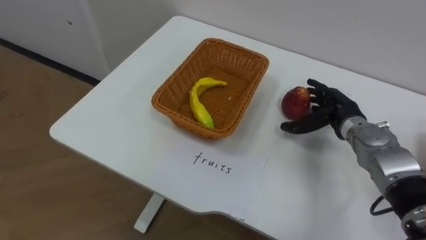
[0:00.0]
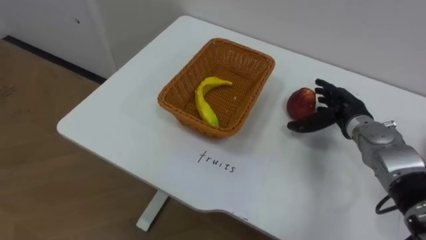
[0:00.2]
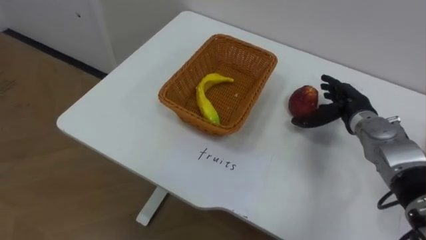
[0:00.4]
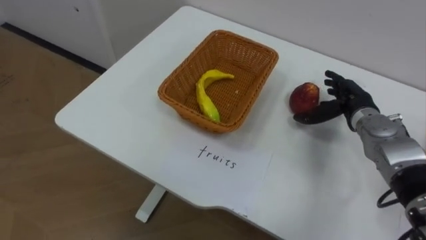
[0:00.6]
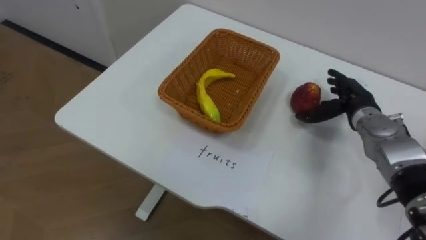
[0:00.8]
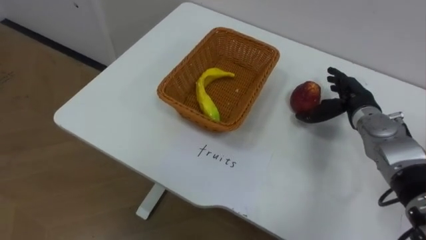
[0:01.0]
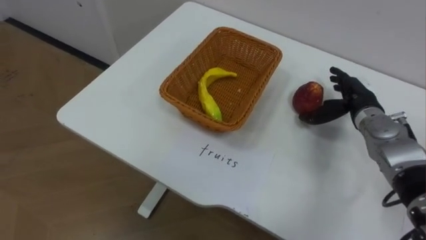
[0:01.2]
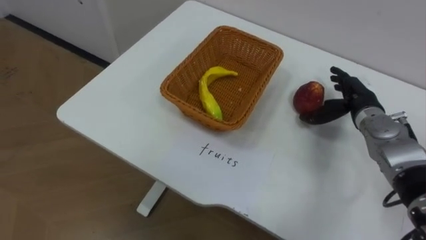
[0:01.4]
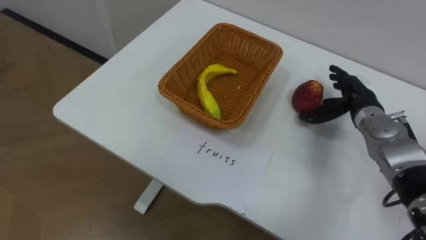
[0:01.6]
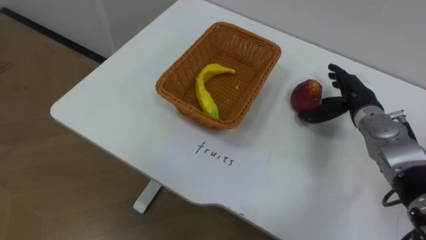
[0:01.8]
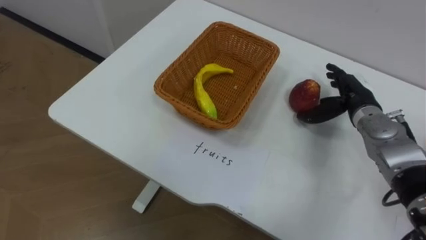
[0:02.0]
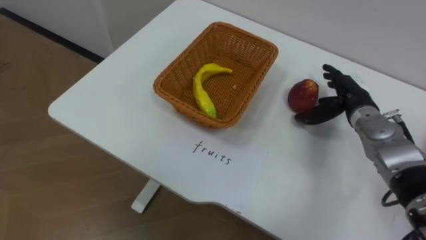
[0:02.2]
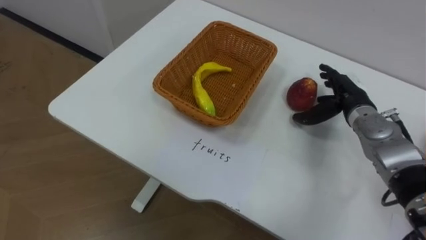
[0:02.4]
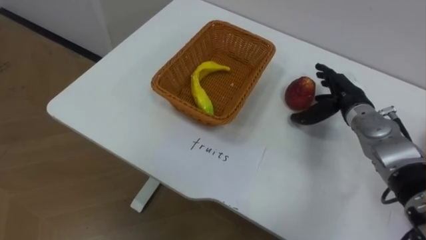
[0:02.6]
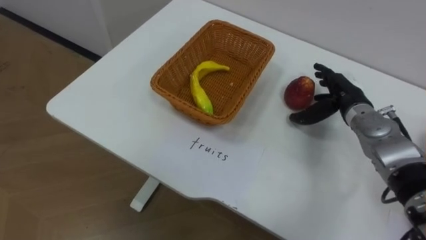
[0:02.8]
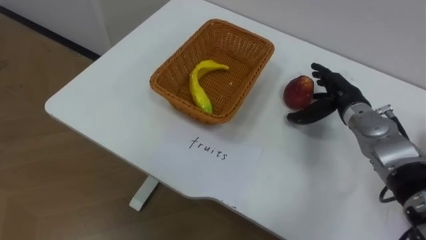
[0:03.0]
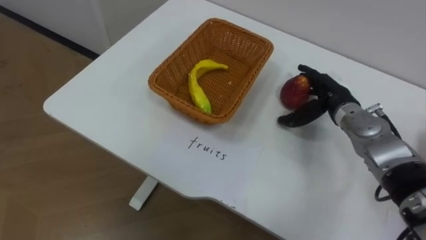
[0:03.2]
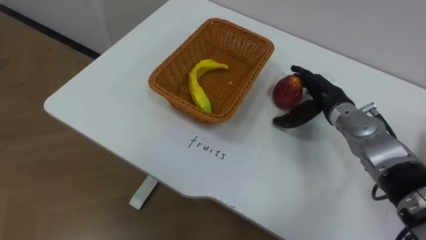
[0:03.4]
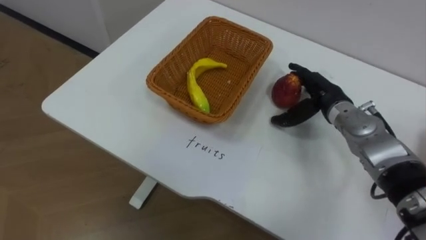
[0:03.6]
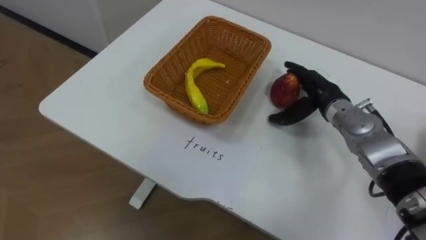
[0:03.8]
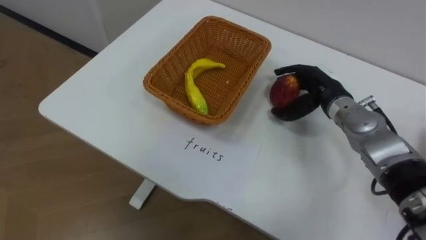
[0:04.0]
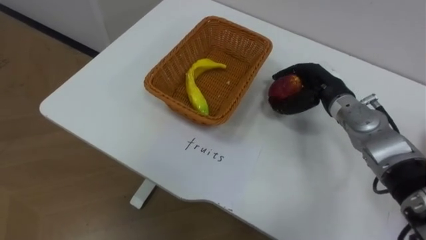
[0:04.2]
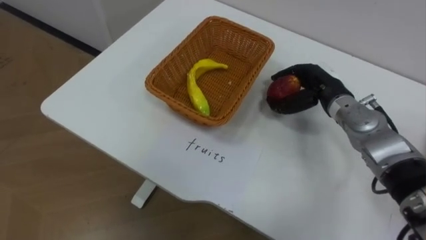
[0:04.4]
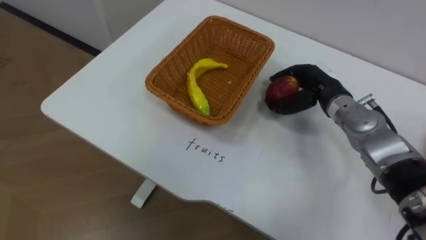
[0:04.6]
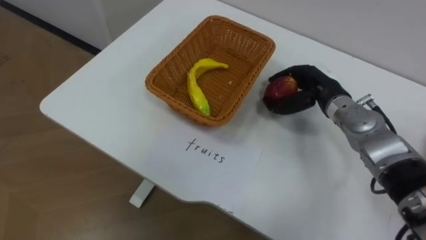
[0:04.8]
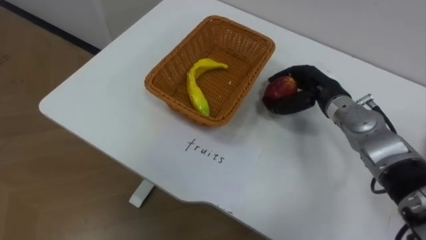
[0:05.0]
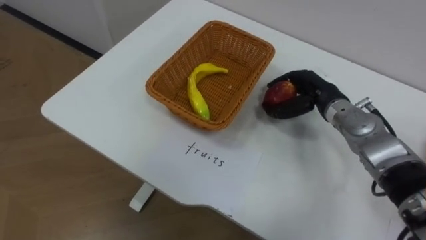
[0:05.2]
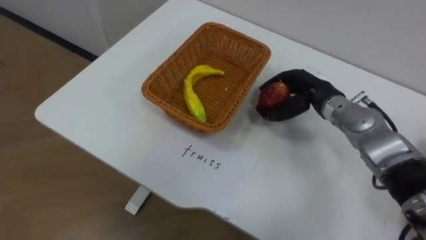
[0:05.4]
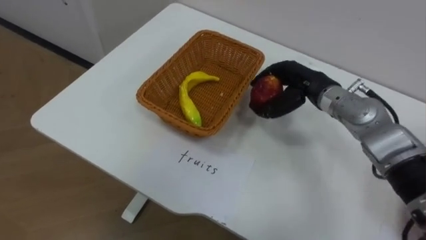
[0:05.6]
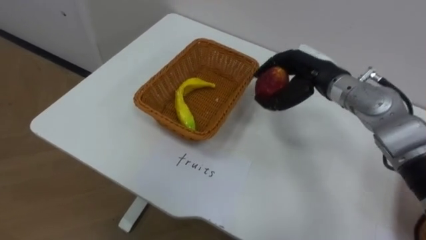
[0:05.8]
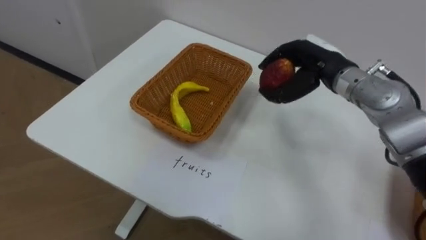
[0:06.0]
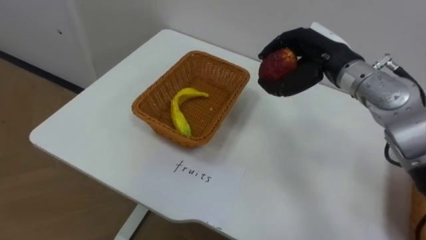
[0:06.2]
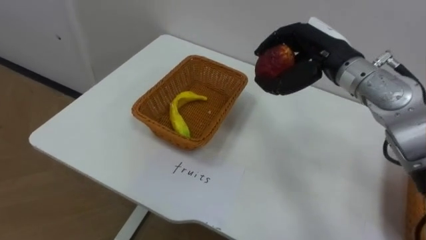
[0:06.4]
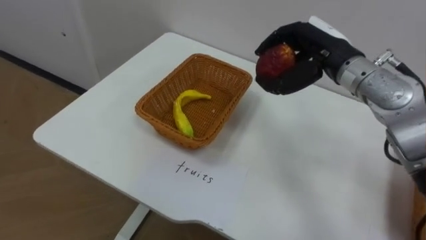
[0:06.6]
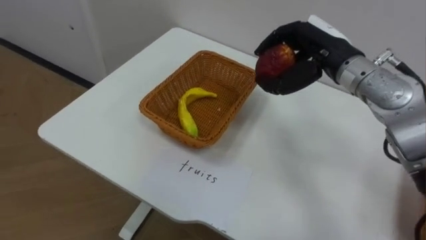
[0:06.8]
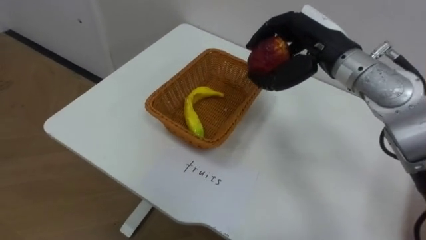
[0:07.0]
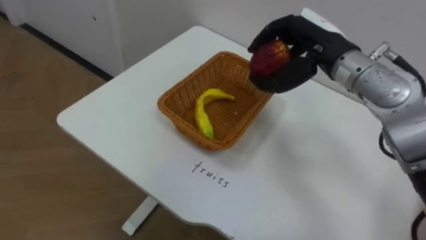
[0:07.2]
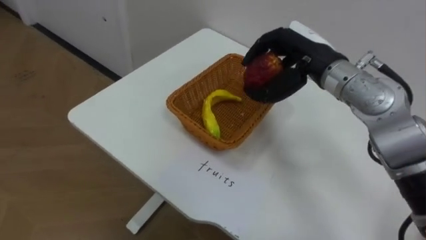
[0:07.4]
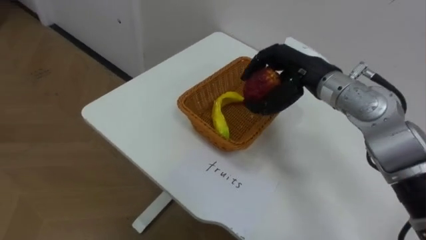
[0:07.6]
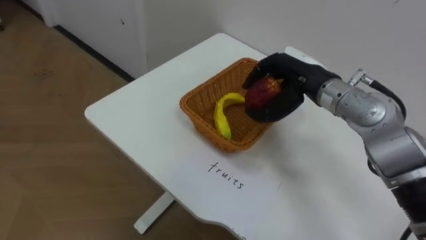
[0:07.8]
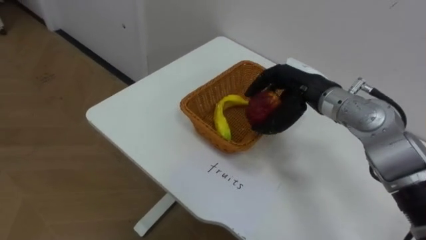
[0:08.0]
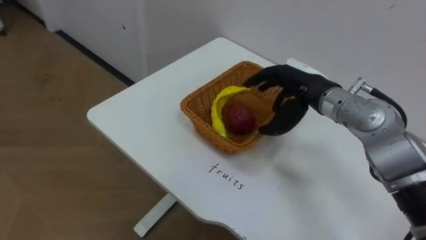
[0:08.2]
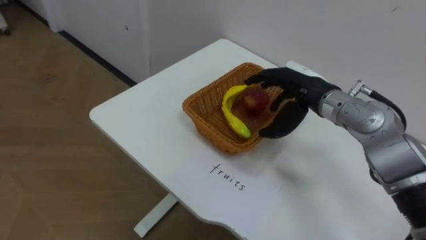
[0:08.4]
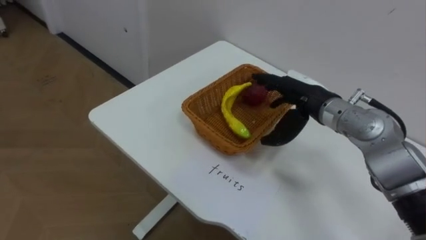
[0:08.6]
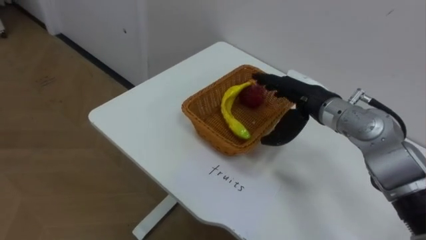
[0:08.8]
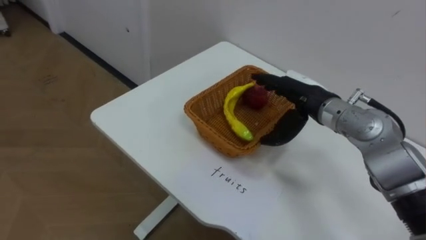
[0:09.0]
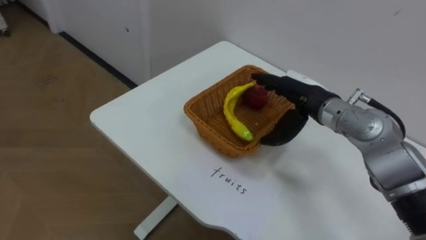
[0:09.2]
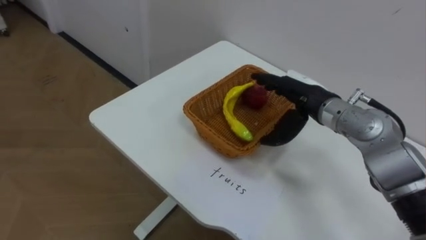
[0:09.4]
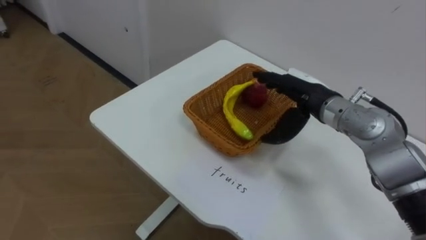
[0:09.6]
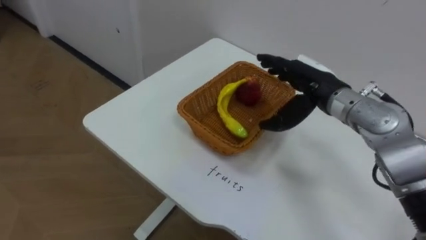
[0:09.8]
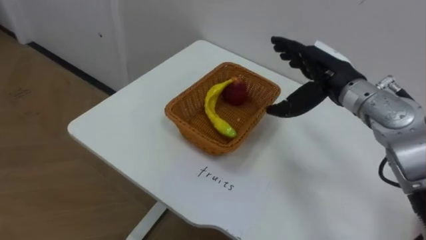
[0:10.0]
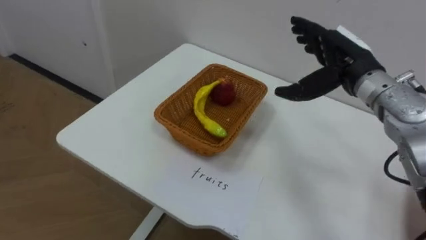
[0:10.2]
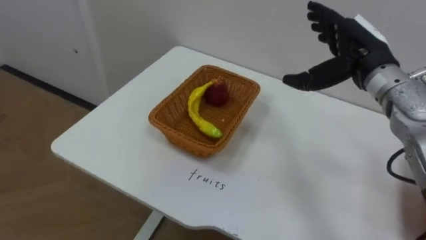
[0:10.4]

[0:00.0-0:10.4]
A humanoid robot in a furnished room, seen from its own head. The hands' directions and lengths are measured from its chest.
Task of the whole recording: Separate the items on the table and place them into the two baskets.
0:03.0 to 0:04.4: The right hand closes.
0:04.4 to 0:06.0: The right hand is displaced upward by approximately 5 cm.
0:06.0 to 0:07.4: The right hand ends up roughly 5 cm from where it was.
0:07.4 to 0:09.0: The right hand goes about 10 cm downward, and opens up.
0:09.0 to 0:10.4: The right hand moves upward and to the right, some 10 cm.

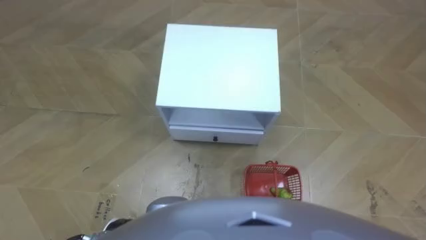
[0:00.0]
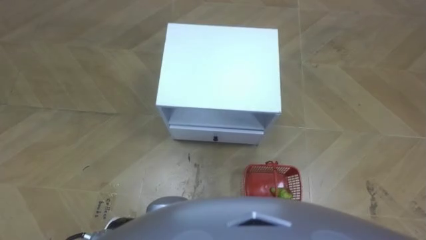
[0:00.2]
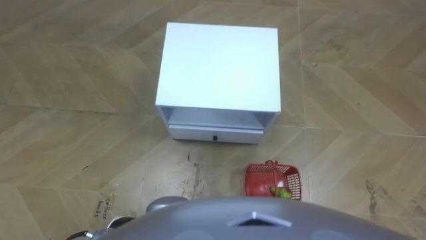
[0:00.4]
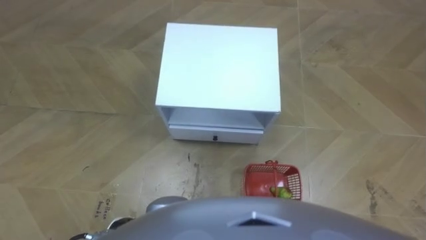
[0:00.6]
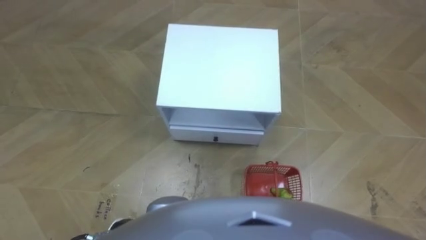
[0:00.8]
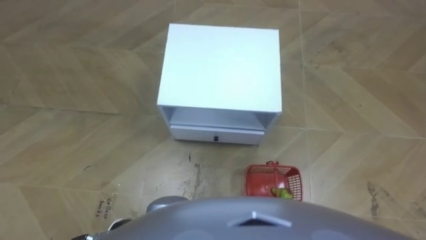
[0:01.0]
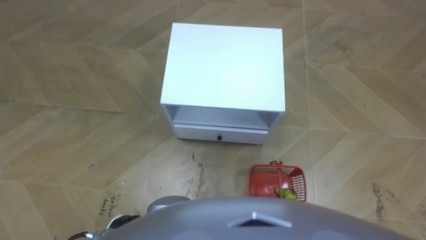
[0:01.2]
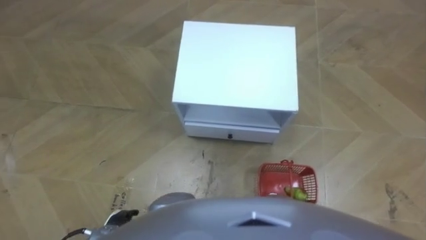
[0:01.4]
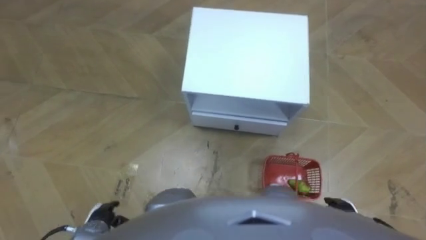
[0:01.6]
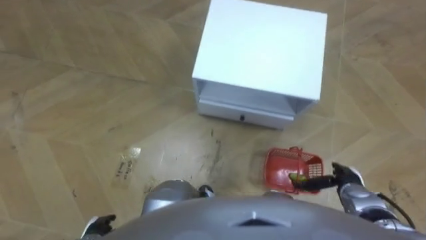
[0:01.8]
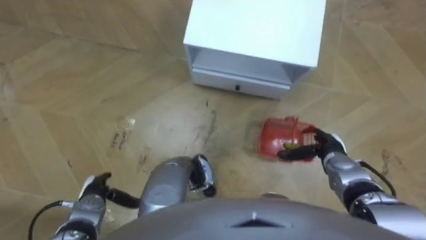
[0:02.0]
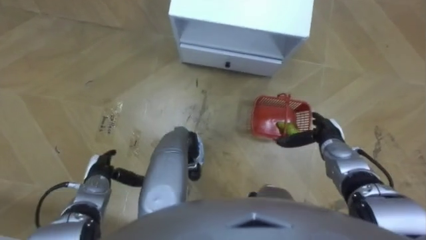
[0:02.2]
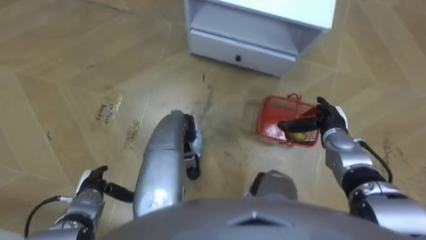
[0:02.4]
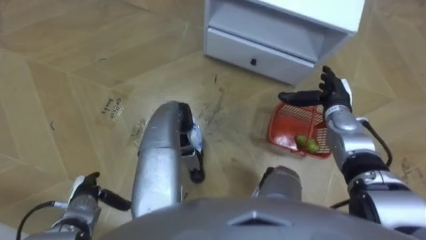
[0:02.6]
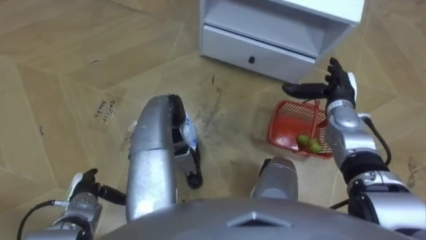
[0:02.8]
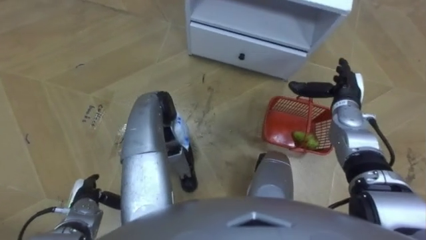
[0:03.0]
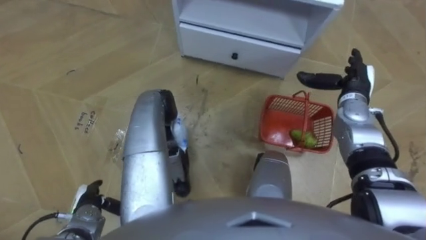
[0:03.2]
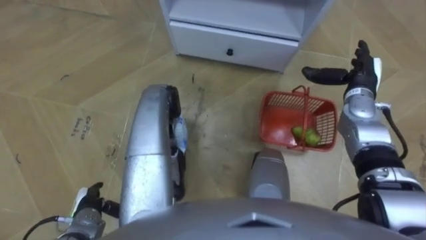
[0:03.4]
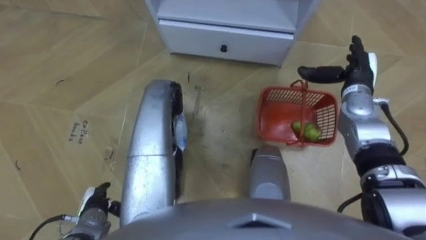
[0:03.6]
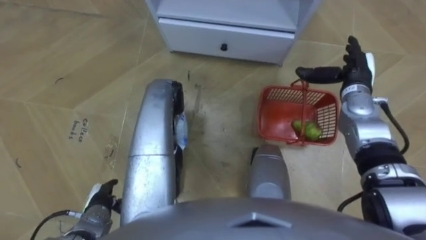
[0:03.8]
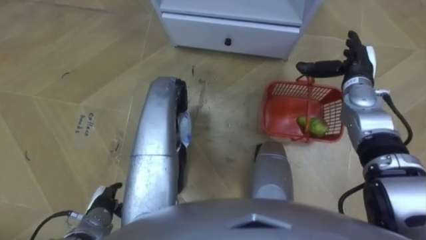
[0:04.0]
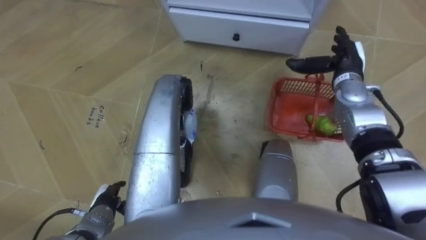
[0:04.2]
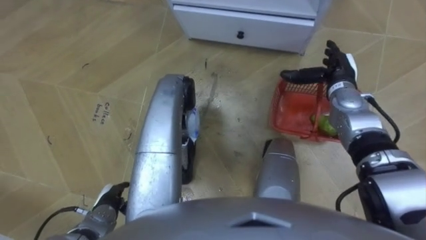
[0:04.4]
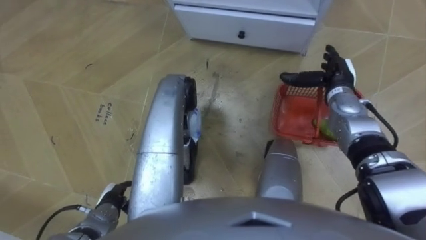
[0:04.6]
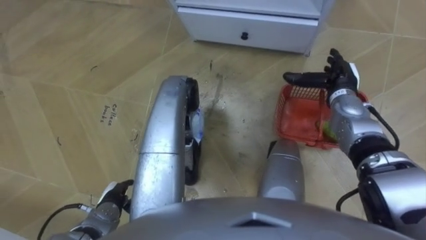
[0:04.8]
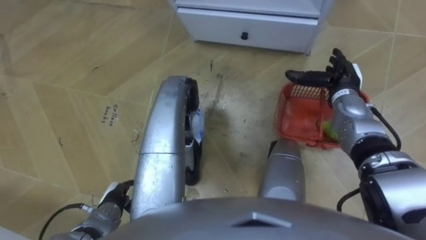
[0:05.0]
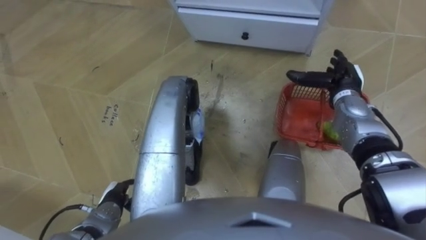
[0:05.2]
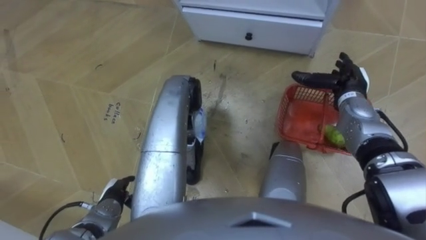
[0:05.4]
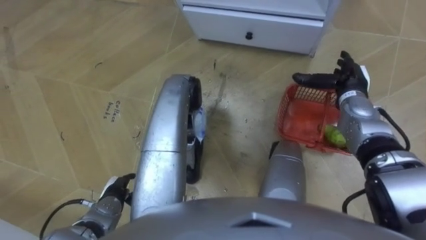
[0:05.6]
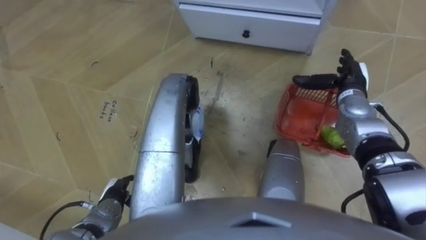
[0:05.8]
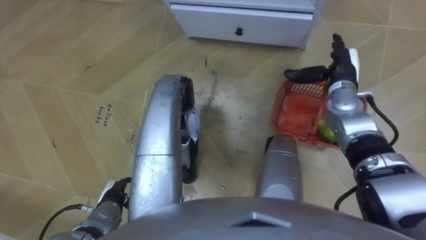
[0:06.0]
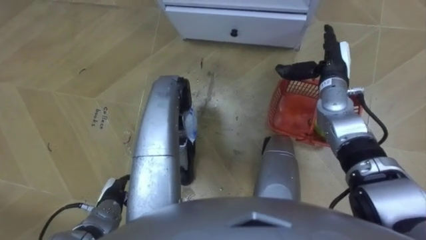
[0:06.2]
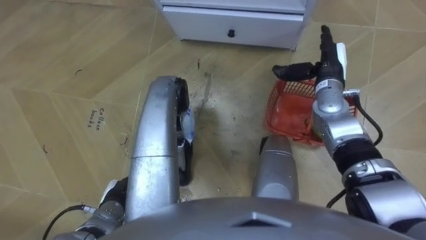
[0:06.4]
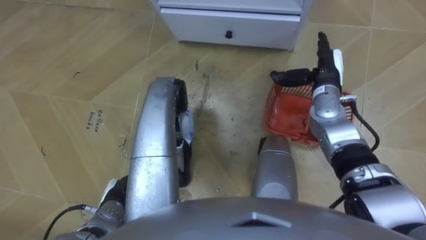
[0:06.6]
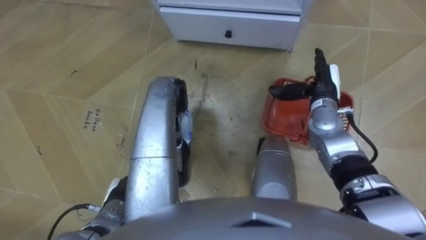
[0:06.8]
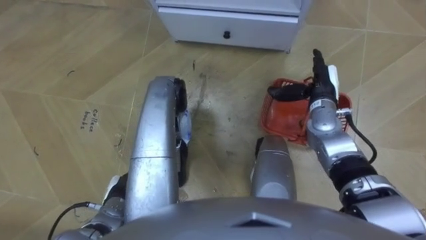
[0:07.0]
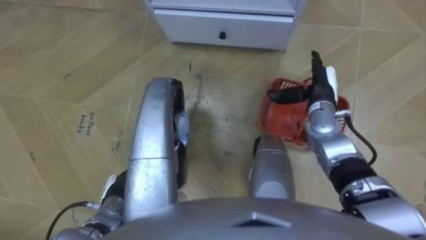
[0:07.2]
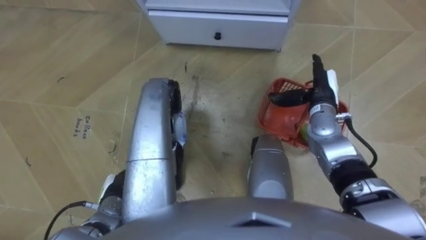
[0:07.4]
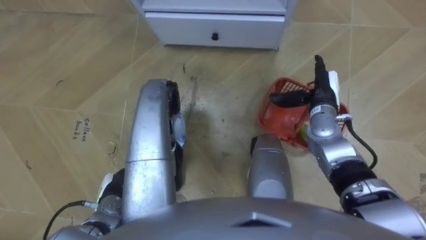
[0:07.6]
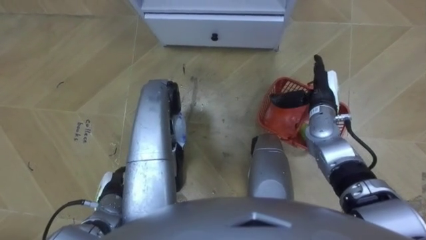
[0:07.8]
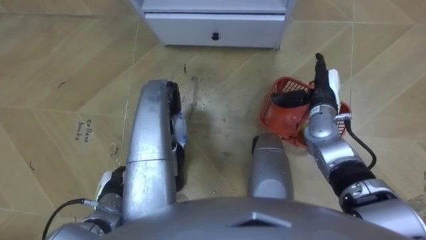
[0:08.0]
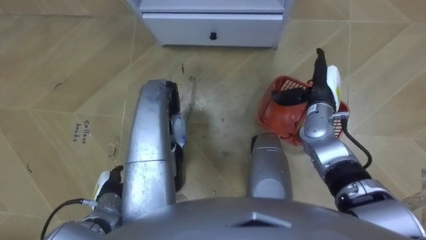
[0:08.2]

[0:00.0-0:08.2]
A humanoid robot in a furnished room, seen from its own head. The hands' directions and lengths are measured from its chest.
Task of the whole recording: Pick up the fruit basket from the floor and place it on the cabinet.
0:01.6 to 0:03.2: The right hand shifts some 30 cm forward and upward, while the left hand shifts approximately 5 cm forward.
0:03.2 to 0:05.0: The left hand travels to the right by roughly 5 cm.
0:05.0 to 0:06.6: The right hand shifts by about 5 cm.
